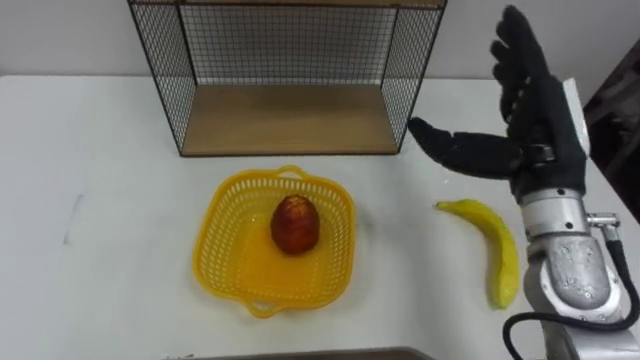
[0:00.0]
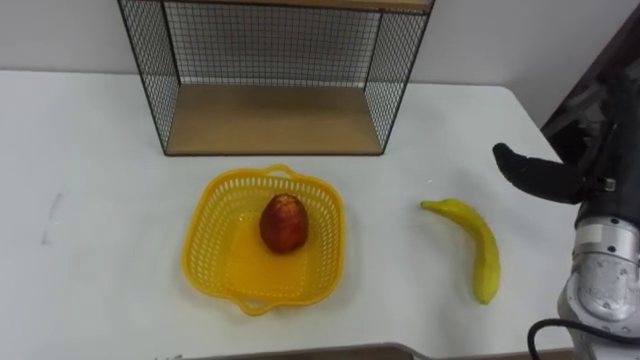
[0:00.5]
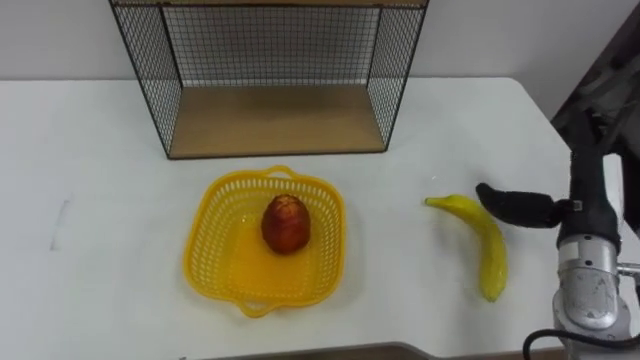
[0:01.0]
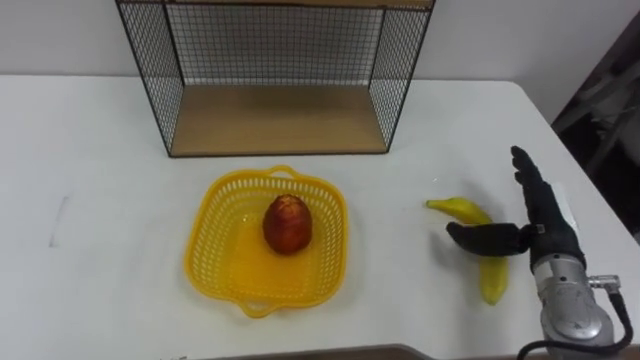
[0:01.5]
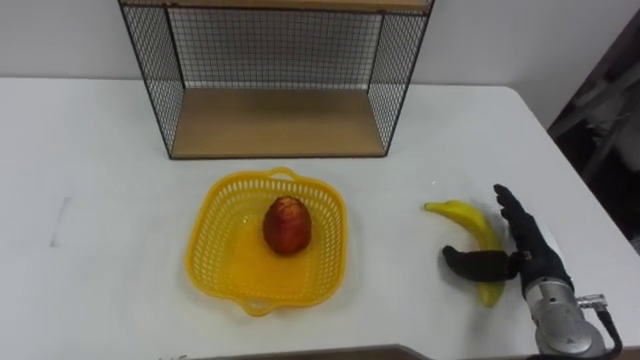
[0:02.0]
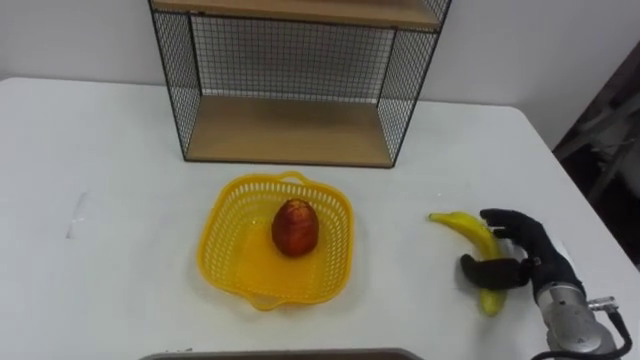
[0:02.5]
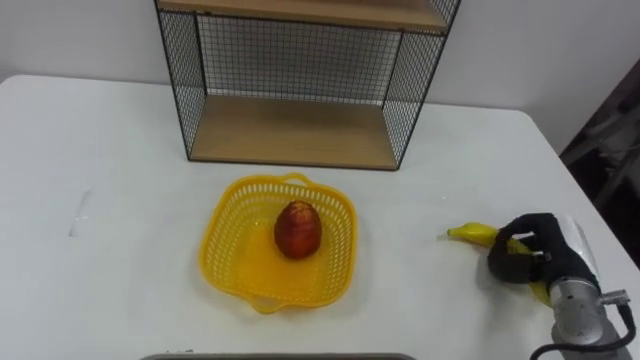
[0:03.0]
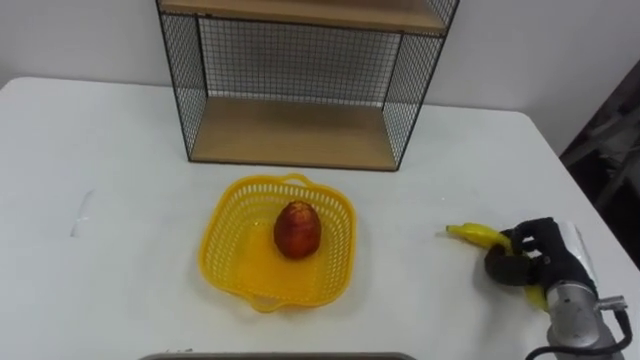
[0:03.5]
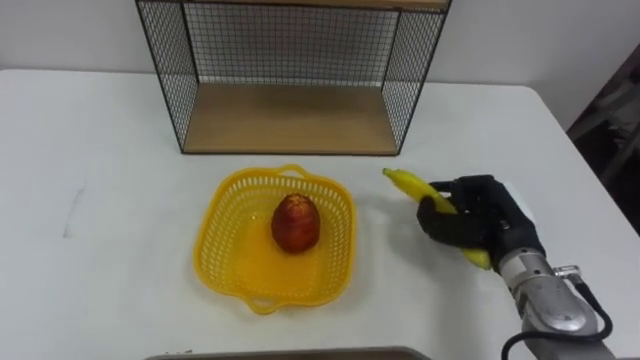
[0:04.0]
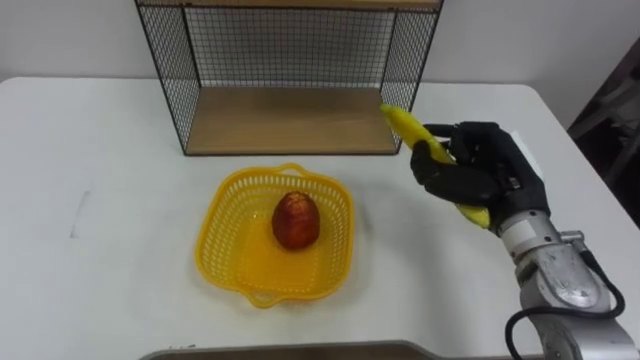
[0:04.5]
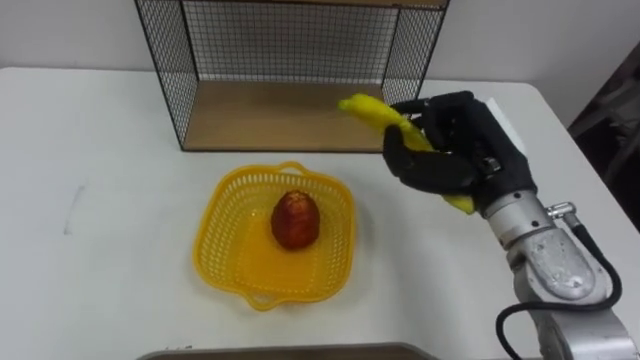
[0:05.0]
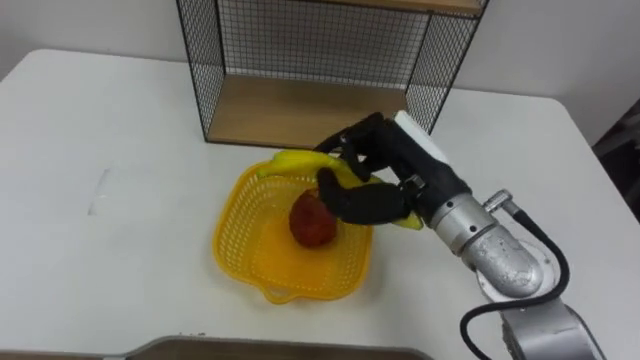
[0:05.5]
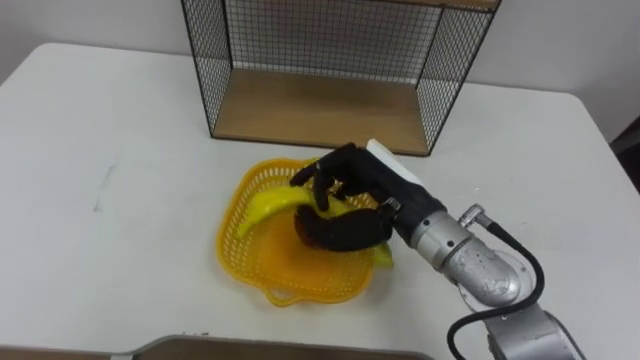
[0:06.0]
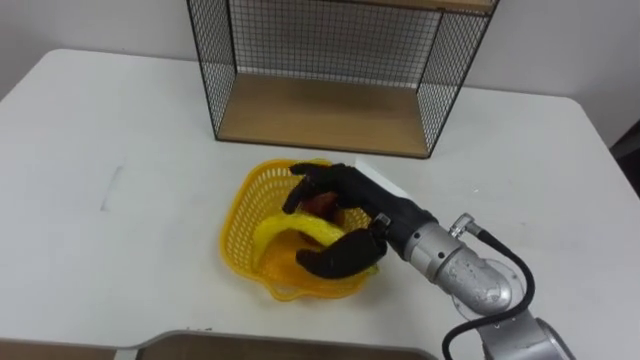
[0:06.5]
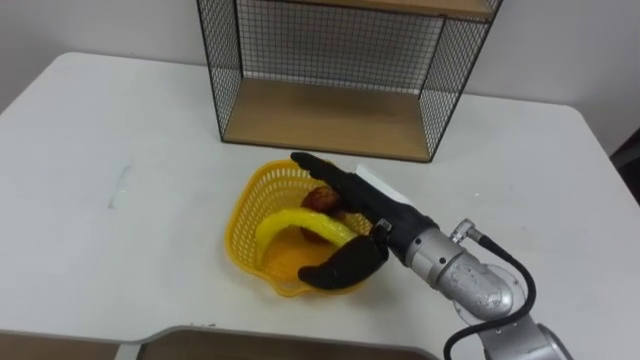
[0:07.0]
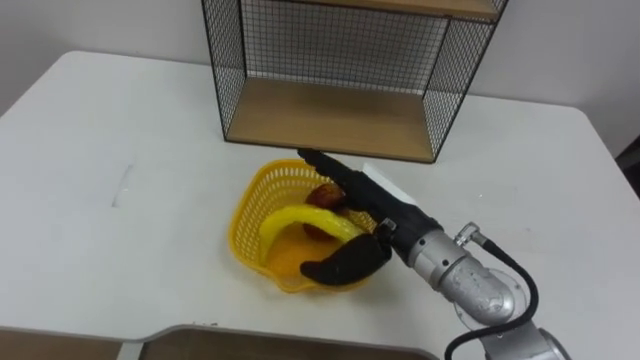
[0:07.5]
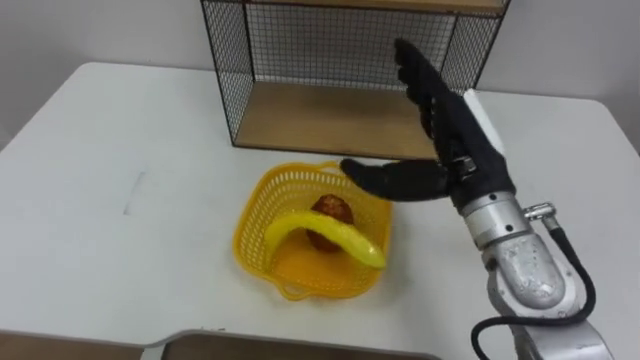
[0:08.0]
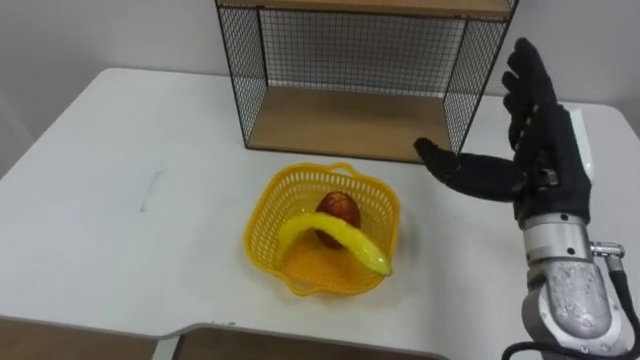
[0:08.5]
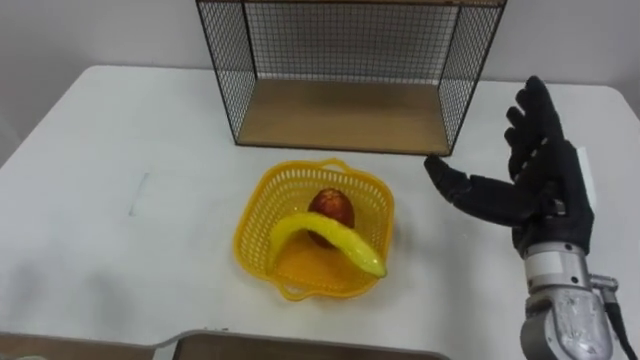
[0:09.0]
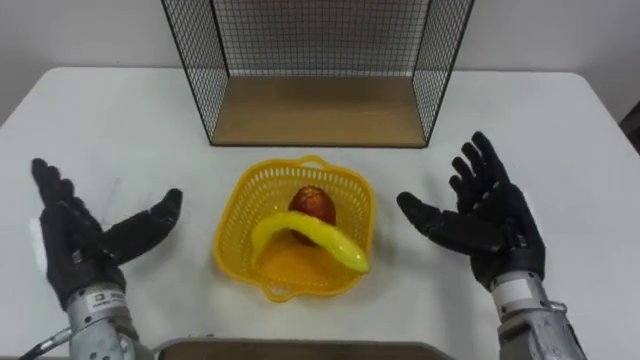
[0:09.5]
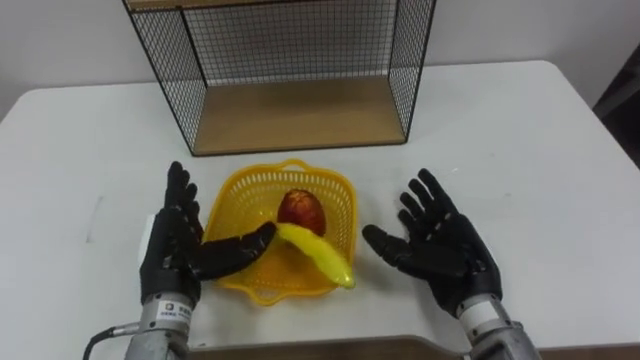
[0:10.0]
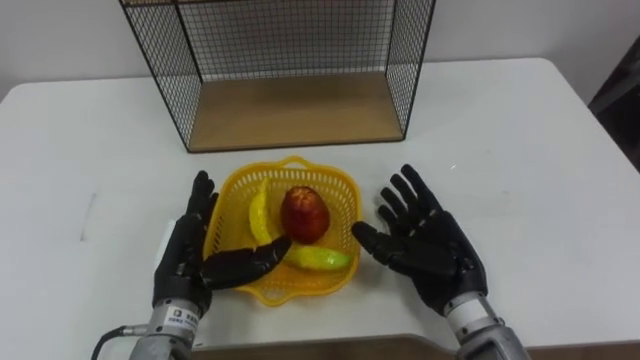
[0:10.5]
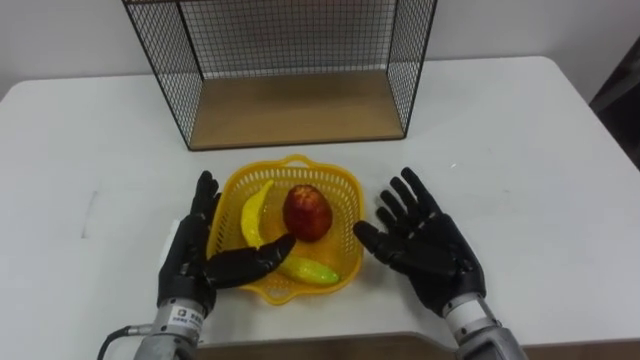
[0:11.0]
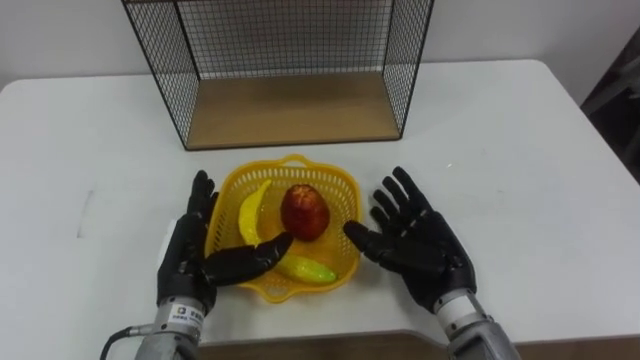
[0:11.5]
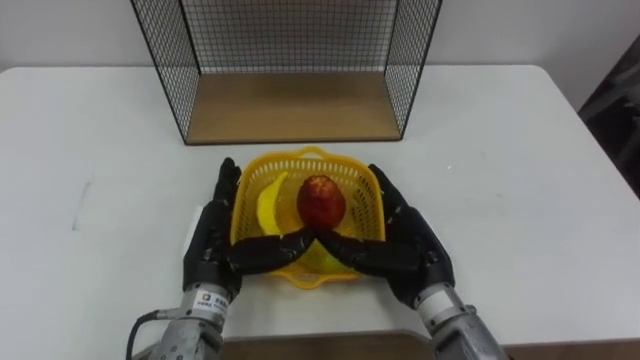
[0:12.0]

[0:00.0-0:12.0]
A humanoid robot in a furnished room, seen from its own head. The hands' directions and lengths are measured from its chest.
Task of the whole recording: Put the fruit on the table into the basket, then place the basket on the shelf.
0:00.0 to 0:02.0: The right hand heads downward, covering some 20 cm.
0:02.0 to 0:04.0: The right hand shifts by approximately 5 cm, and closes.
0:04.0 to 0:06.0: The right hand travels to the left and upward by about 15 cm.
0:06.0 to 0:08.0: The right hand is displaced to the right by approximately 5 cm, and opens.
0:08.0 to 0:10.0: The right hand moves downward, about 15 cm.
0:10.0 to 0:12.0: The right hand heads to the left, covering some 5 cm, while the left hand changes place by some 5 cm.

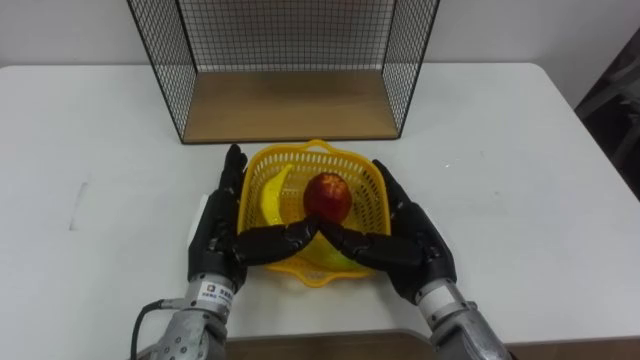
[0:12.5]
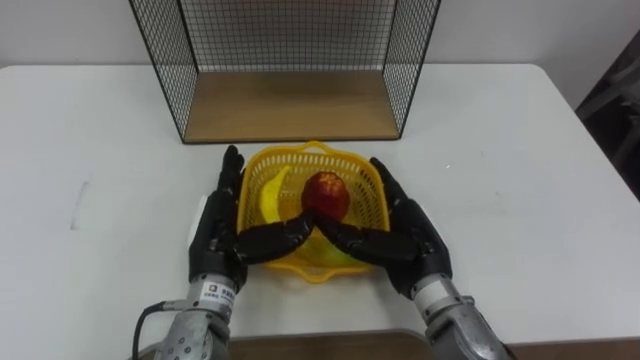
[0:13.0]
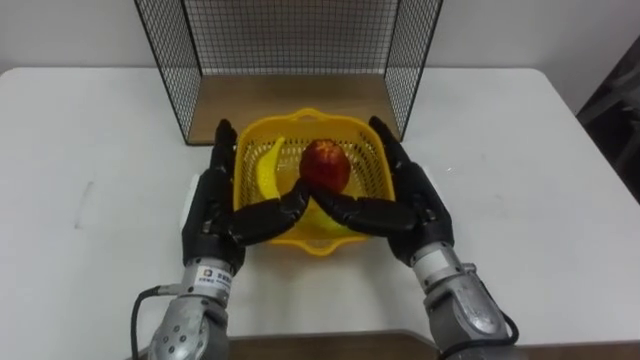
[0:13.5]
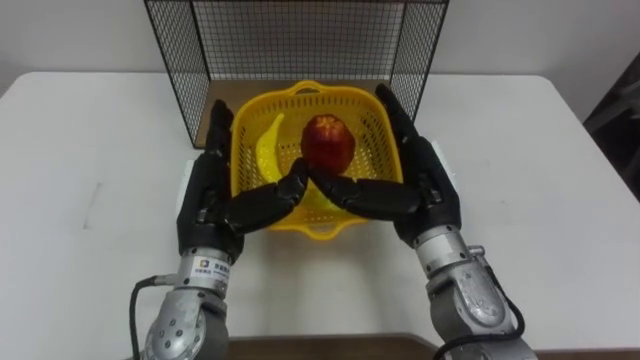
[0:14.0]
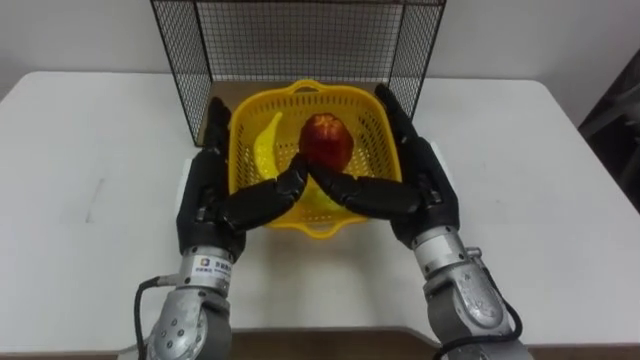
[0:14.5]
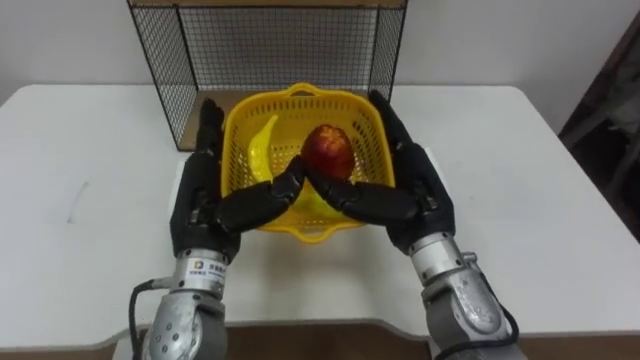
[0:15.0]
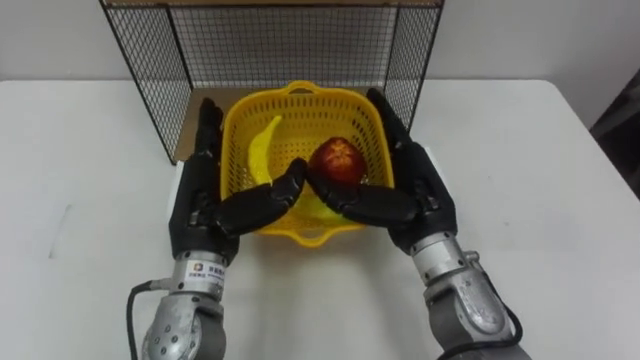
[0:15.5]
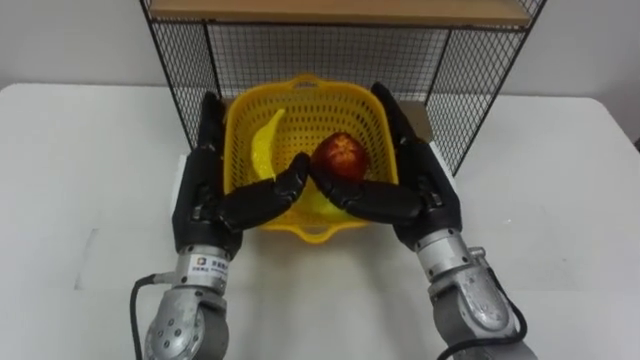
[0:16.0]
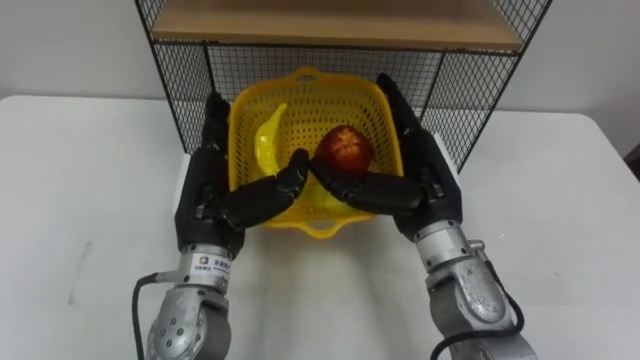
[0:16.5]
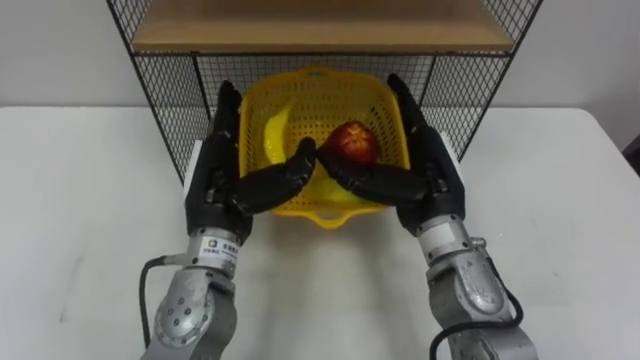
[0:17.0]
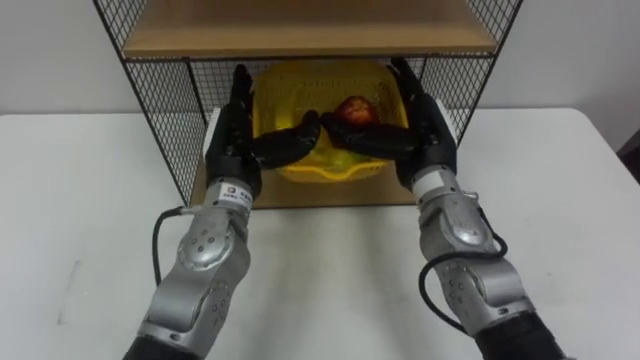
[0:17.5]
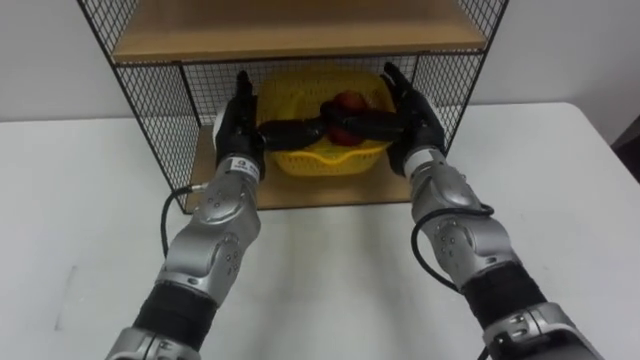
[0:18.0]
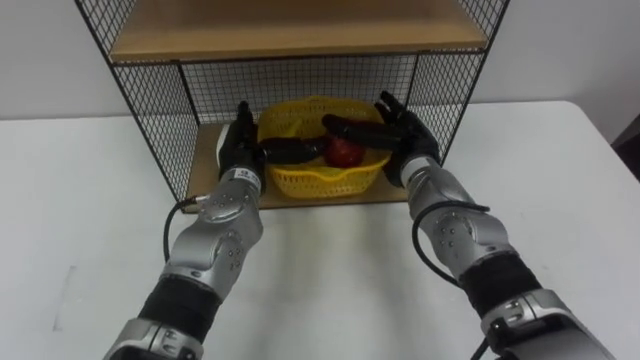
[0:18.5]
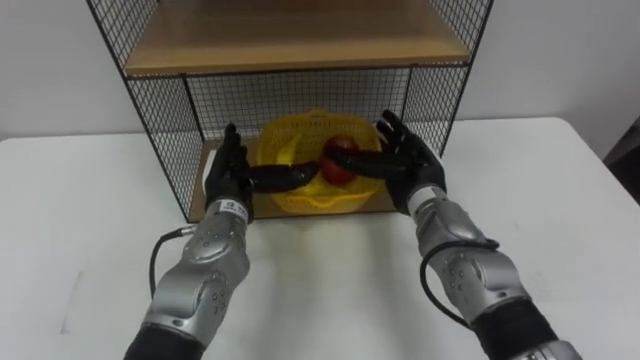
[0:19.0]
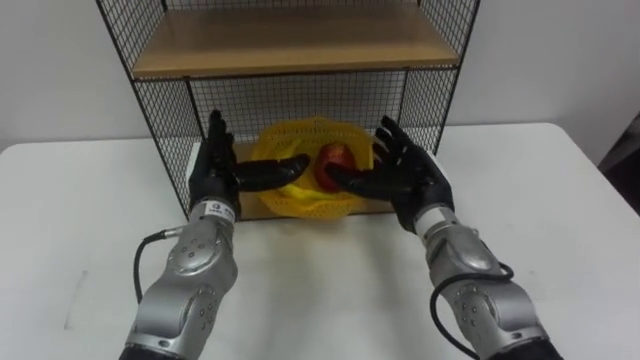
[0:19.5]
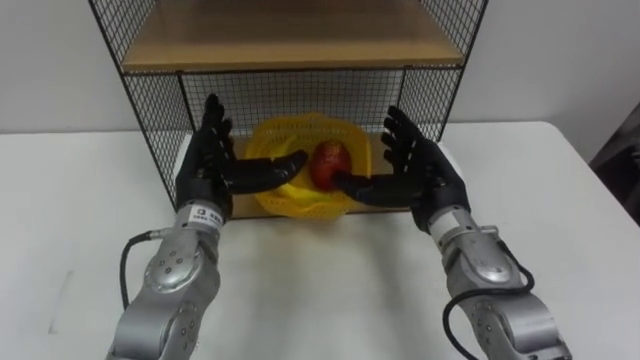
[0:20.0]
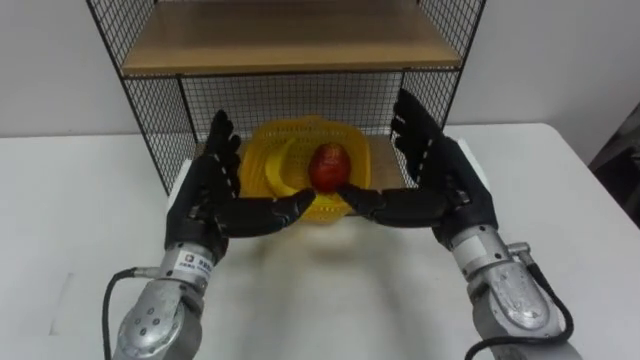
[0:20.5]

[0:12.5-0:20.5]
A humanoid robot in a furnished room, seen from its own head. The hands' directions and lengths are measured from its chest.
Task of the whole recording: Put the fruit on the table into the basket, then place the basket on the shelf.
0:12.5 to 0:14.5: The hands both shift upward by roughly 5 cm.
0:16.5 to 0:18.5: The left hand travels forward by roughly 10 cm; the right hand moves forward and downward, roughly 10 cm.
0:18.5 to 0:20.5: The left hand moves backward, some 10 cm. Meanwhile the right hand moves backward and upward, about 10 cm.
